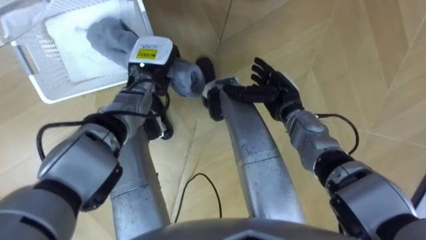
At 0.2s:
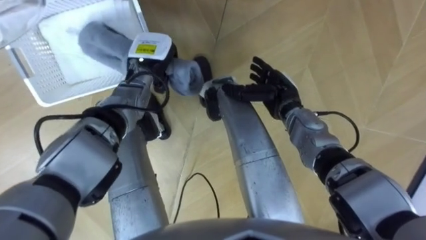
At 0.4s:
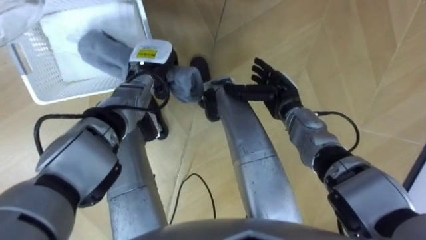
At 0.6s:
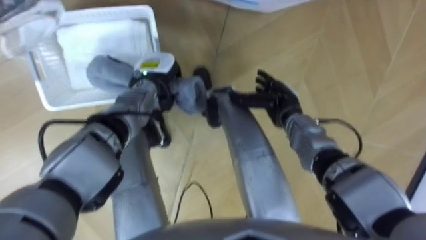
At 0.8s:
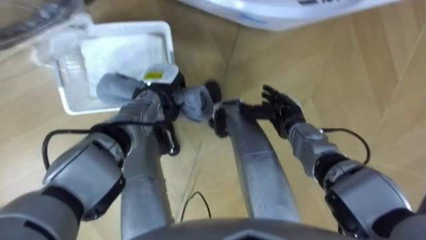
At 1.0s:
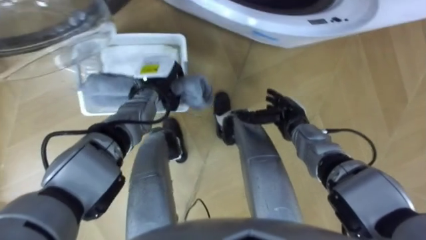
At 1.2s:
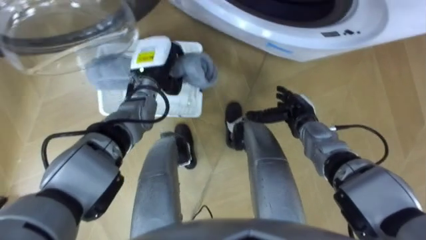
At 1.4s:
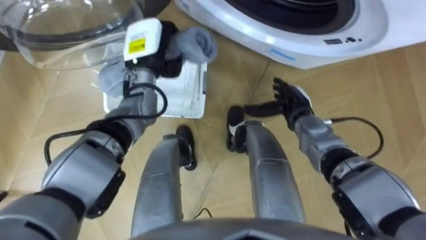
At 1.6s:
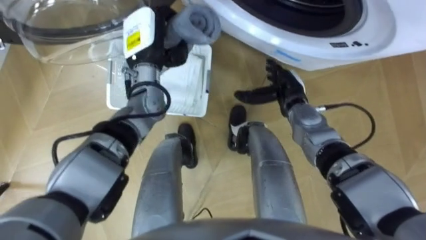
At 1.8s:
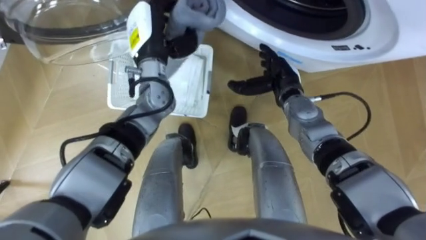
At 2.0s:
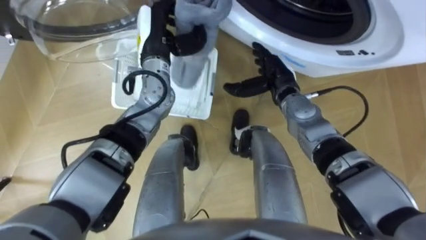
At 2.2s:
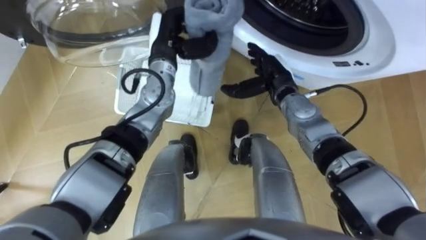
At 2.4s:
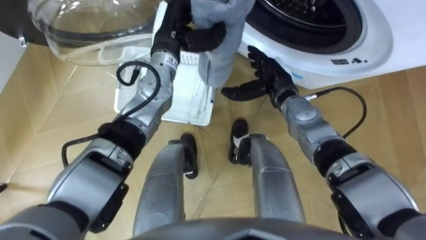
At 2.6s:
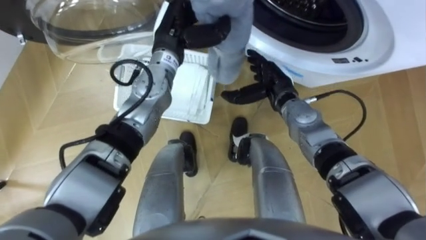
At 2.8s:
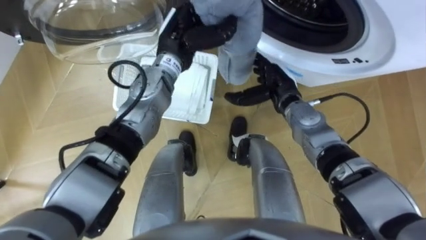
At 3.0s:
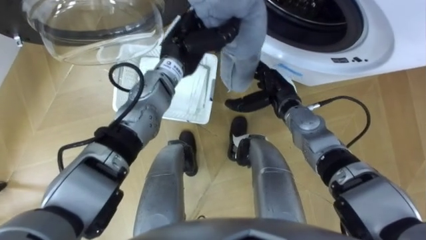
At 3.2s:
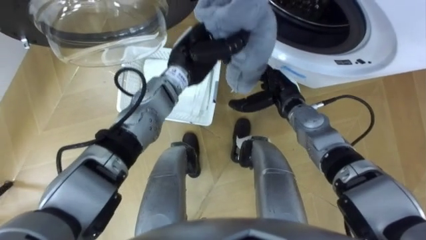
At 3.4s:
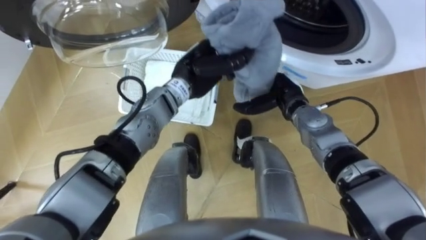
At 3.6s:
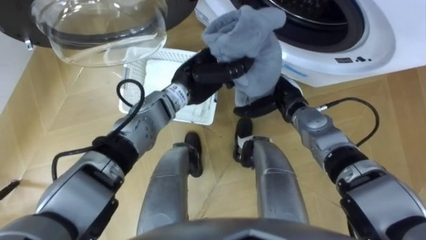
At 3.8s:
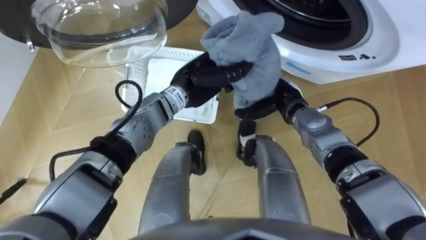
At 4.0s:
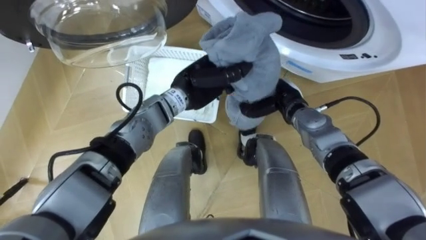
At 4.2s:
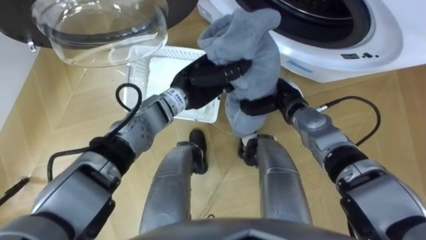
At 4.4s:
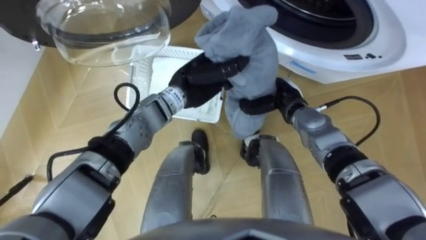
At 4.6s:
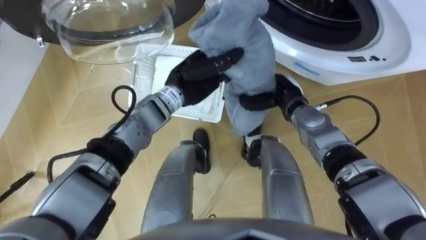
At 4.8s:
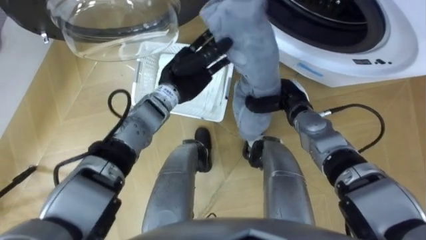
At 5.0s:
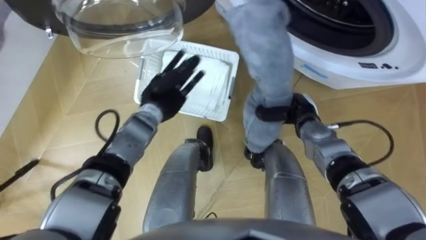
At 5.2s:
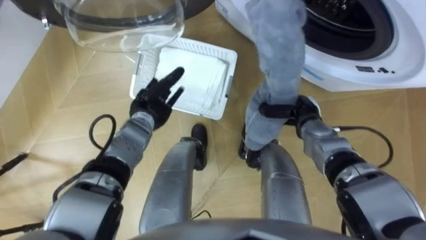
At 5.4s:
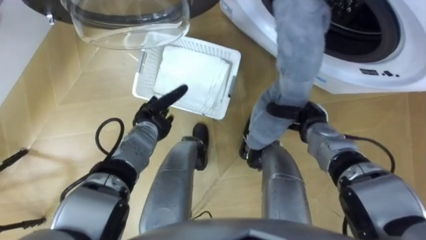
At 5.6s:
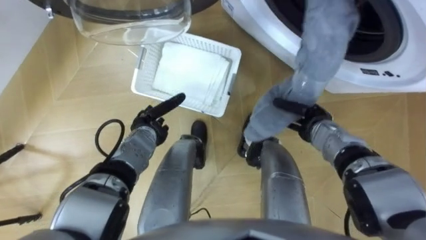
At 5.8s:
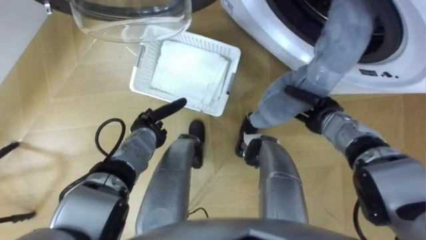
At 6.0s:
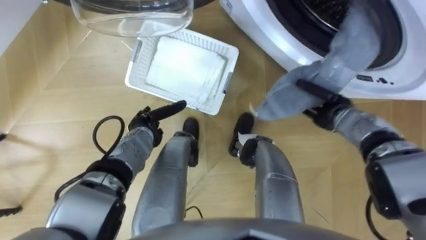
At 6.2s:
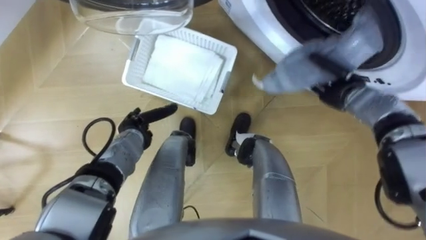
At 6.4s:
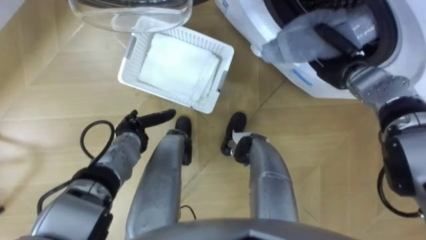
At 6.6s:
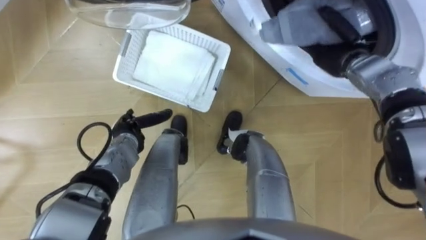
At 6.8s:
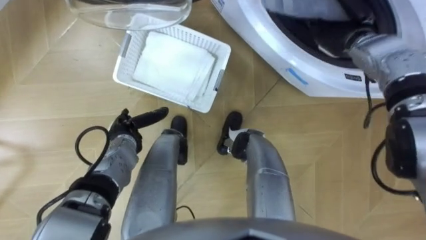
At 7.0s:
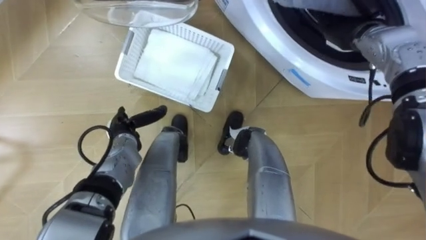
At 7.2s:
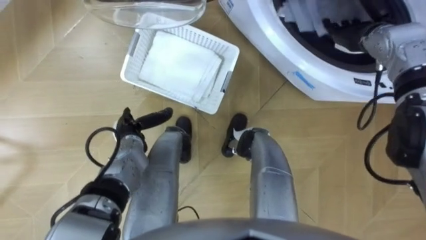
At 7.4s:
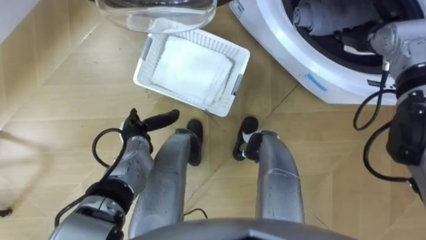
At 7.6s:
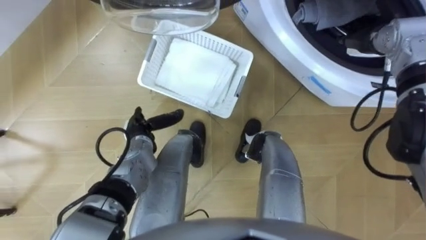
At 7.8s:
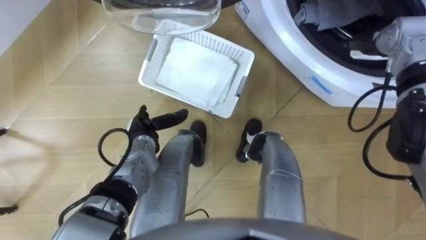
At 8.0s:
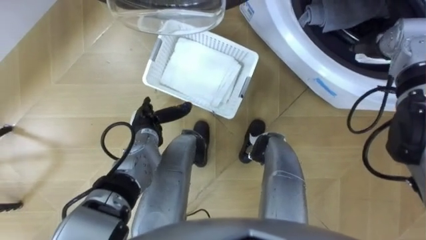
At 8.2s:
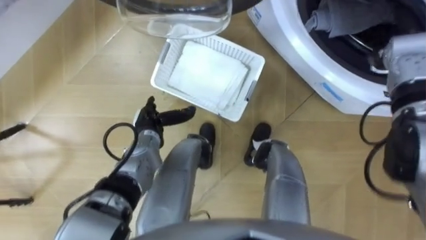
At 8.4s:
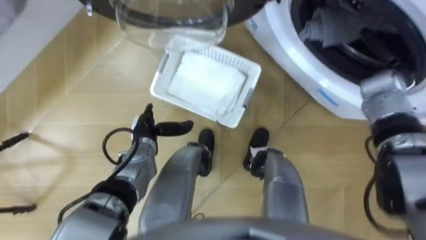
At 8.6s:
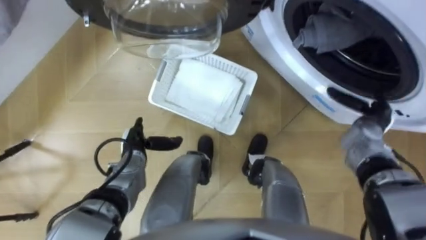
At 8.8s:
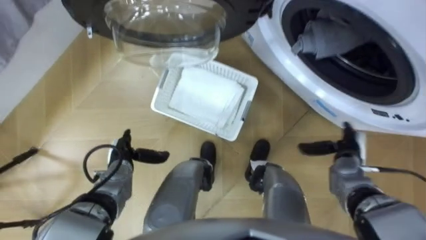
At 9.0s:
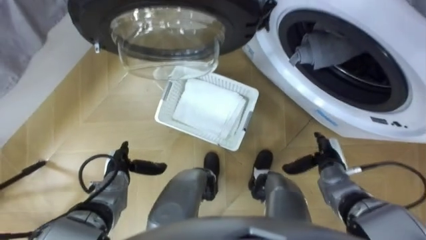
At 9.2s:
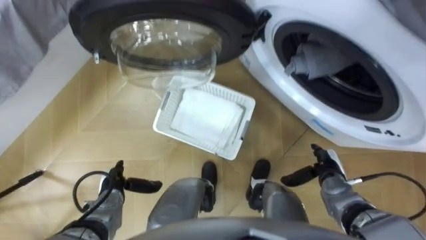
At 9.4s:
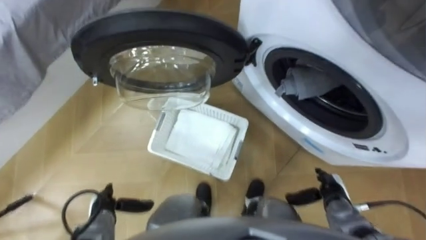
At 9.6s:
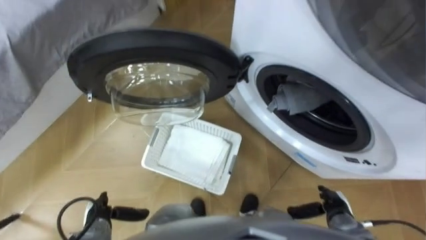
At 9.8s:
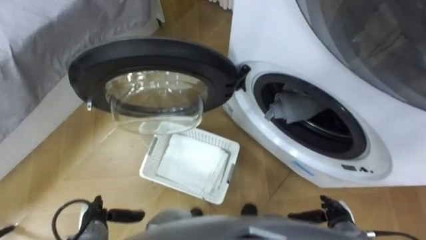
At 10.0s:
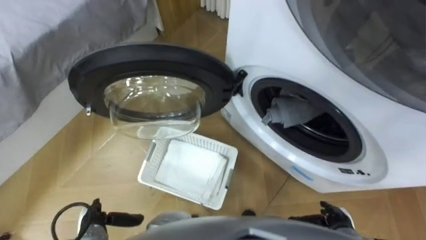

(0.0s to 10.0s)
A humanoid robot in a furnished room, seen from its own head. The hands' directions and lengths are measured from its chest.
Task of the whole recording: Take the towel from the basket and put it into the washing machine.
1.4s - 2.8s: The left hand is displaced to the right by some 5 cm; the right hand ends up approximately 5 cm from where it was.
2.8s - 4.2s: The left hand heads downward and backward, covering about 10 cm. The right hand closes up.
4.2s - 5.8s: The right hand goes approximately 10 cm to the right; the left hand moves downward and to the left, about 20 cm, and opens.
5.8s - 7.2s: The right hand goes roughly 20 cm upward and forward, and opens.
7.2s - 8.6s: The right hand moves backward and downward, roughly 20 cm.
8.6s - 10.0s: The right hand shifts approximately 25 cm backward and downward. Meanwhile the left hand travels backward and to the left by some 20 cm.

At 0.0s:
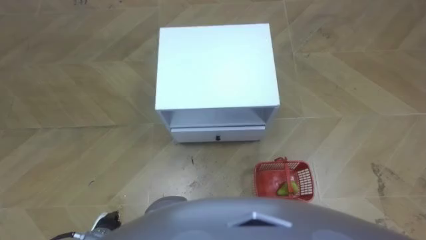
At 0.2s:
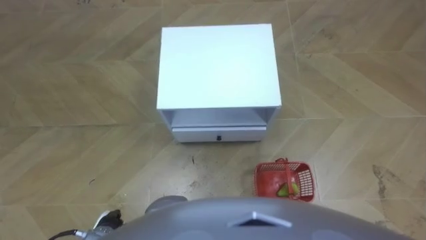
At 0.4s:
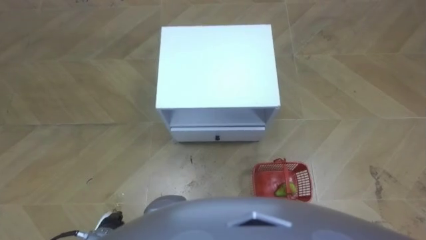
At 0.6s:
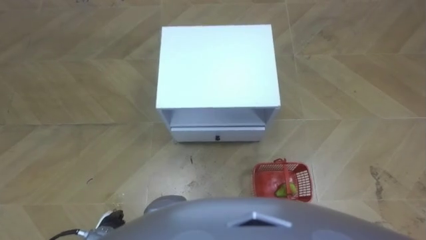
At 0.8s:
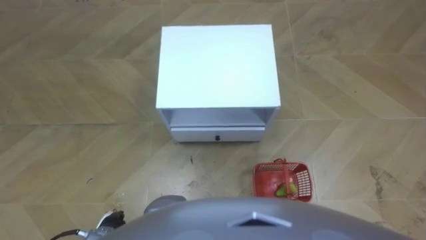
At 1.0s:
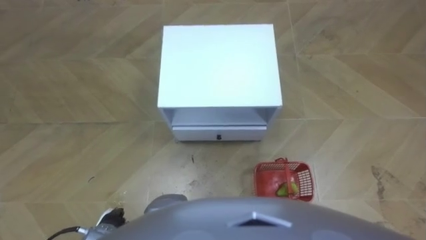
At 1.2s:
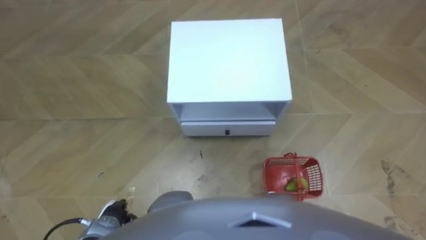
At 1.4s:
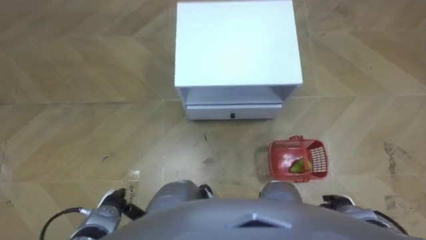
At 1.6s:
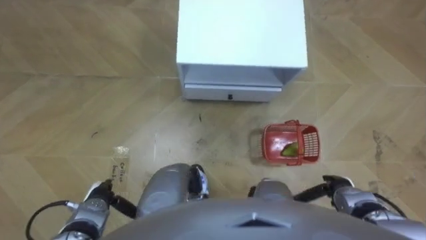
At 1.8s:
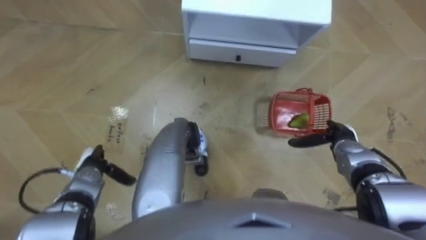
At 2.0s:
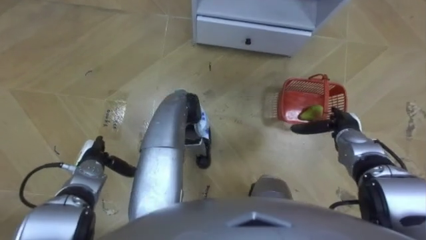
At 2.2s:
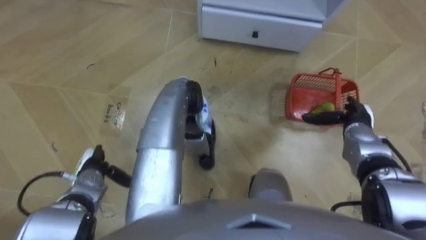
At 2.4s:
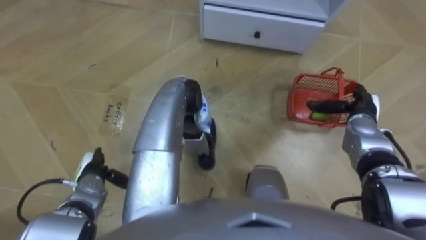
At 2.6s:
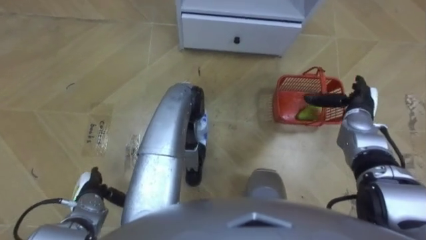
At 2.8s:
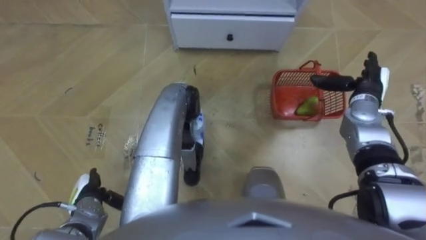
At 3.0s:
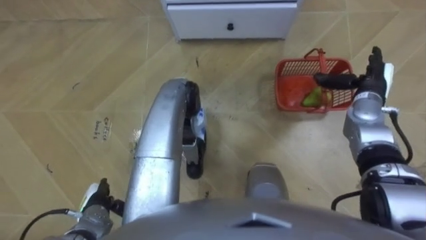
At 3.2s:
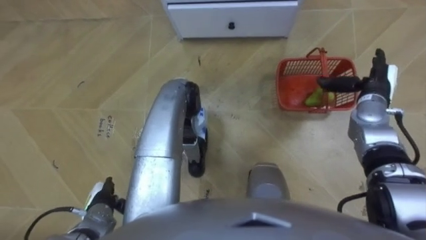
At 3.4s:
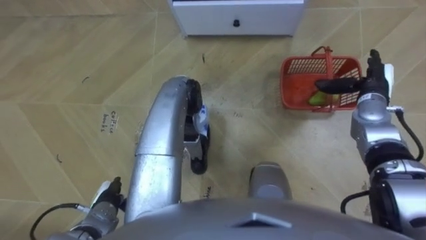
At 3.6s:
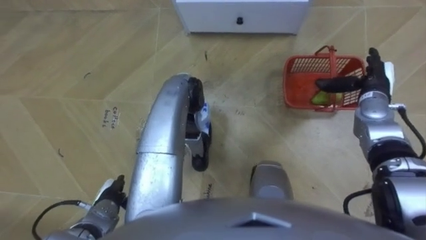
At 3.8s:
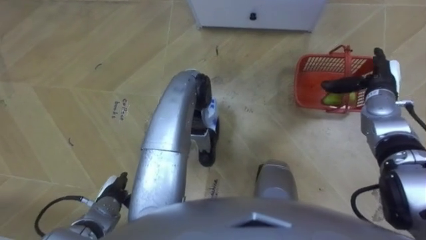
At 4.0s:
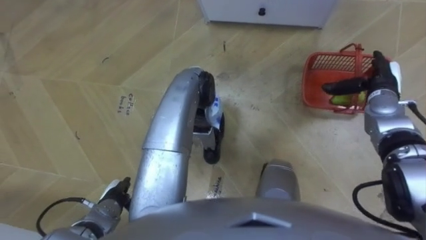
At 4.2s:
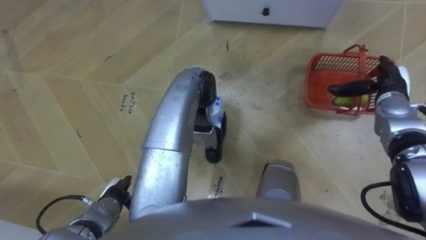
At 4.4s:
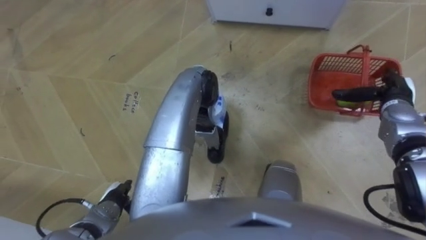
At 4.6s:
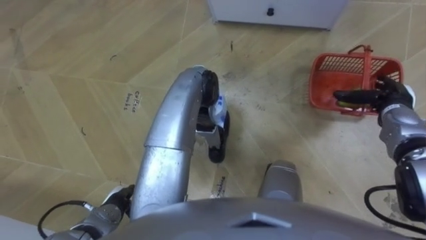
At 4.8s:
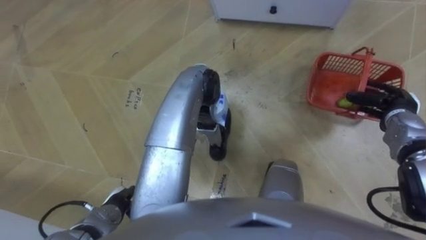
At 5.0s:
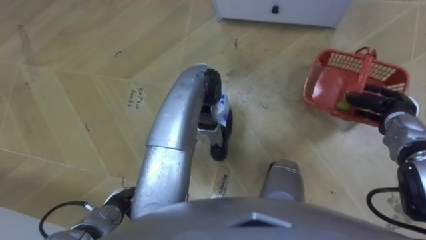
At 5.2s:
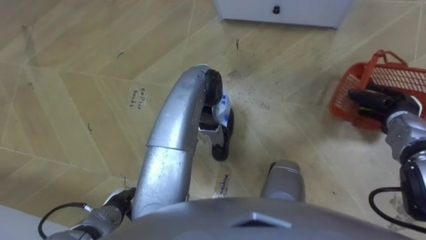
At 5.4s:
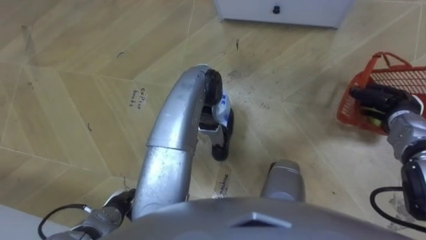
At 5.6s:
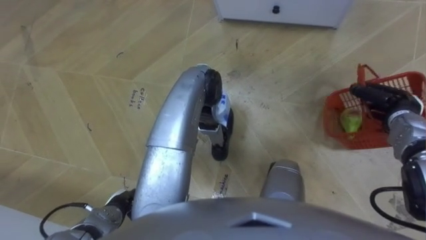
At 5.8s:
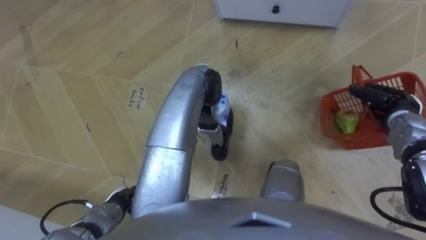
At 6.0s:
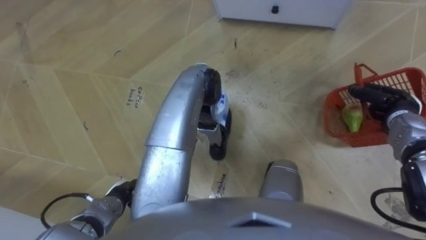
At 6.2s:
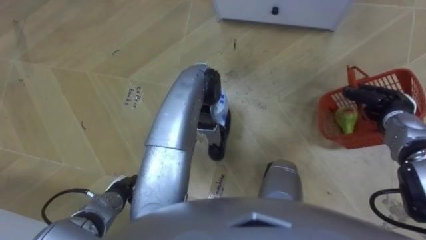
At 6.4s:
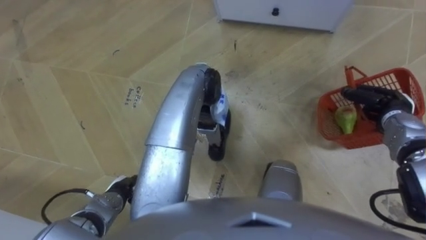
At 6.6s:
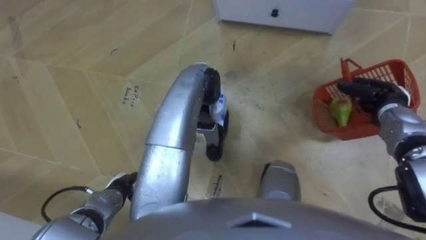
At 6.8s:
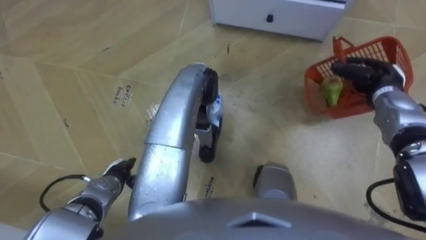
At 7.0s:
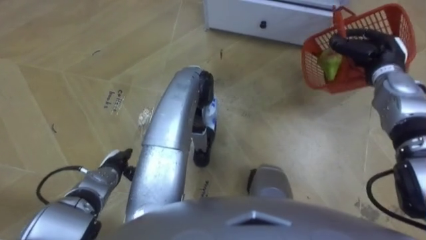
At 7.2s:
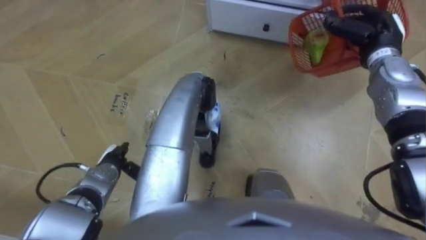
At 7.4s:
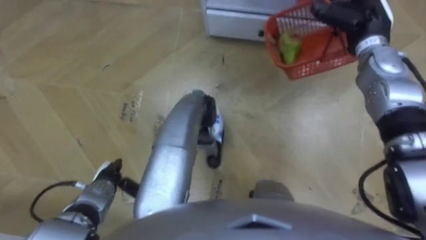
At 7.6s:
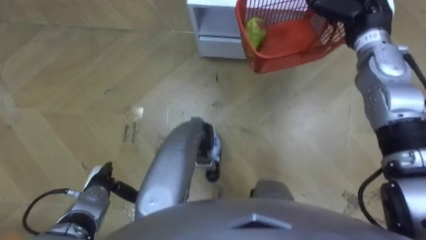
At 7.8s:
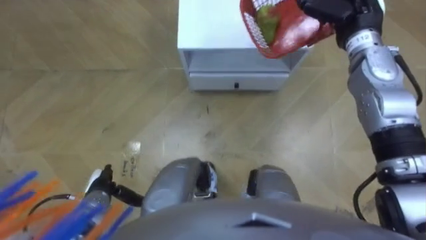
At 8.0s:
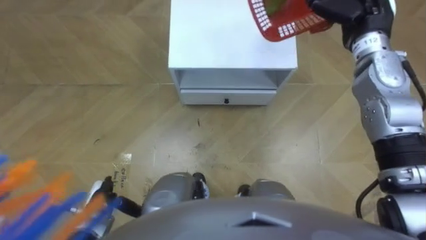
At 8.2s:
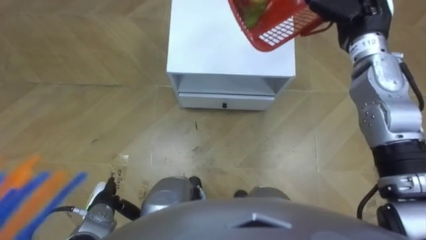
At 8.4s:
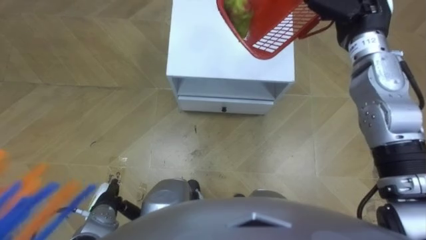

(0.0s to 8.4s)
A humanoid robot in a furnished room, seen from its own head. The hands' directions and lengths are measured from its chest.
Task of the whole recording: Pick up the fruit basket from the floor and place it on the cabinet.
1.4s - 2.8s: The left hand travels forward and back again, about 10 cm each way. The right hand shifts approximately 30 cm forward and upward.
2.8s - 4.2s: The left hand travels to the right by roughly 5 cm.
4.2s - 5.6s: The right hand shifts by roughly 5 cm, and closes up.
5.6s - 7.0s: The left hand shifts approximately 10 cm forward, while the right hand goes approximately 10 cm forward, upward and to the left.
7.0s - 8.4s: The right hand moves upward and to the left, approximately 15 cm. The left hand moves backward, roughly 10 cm.
